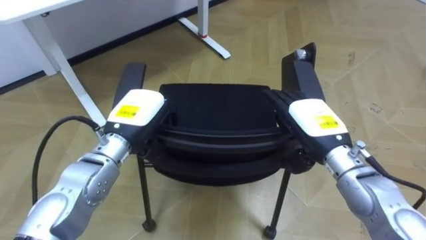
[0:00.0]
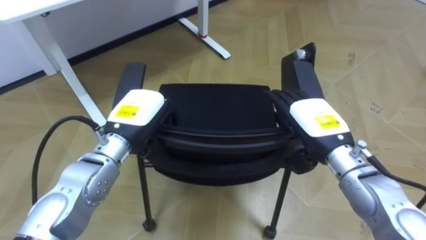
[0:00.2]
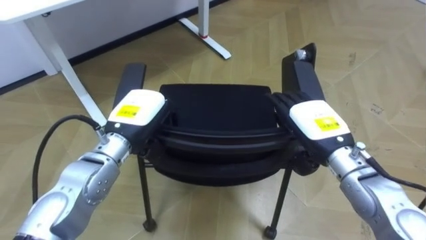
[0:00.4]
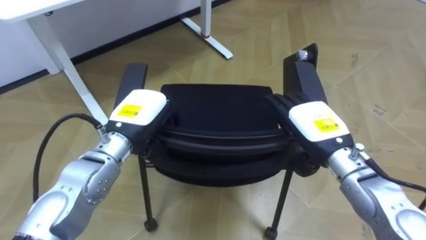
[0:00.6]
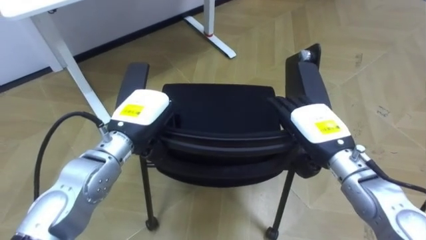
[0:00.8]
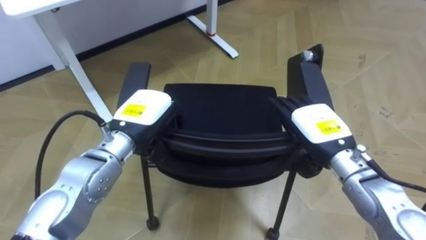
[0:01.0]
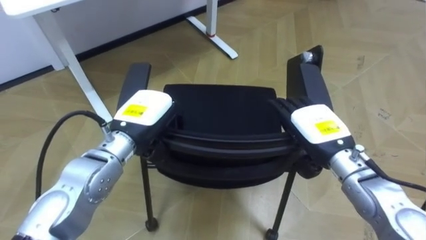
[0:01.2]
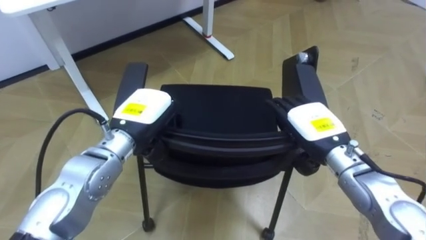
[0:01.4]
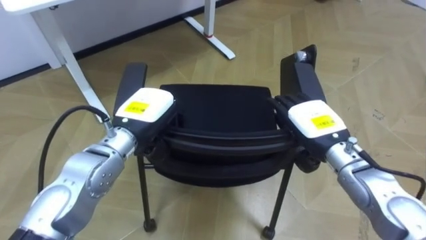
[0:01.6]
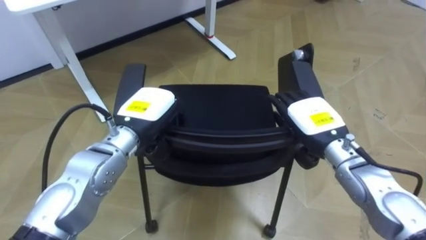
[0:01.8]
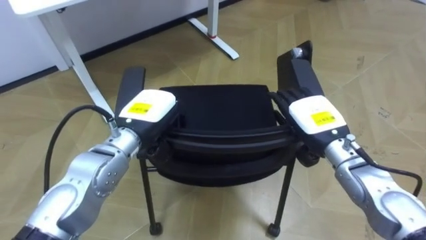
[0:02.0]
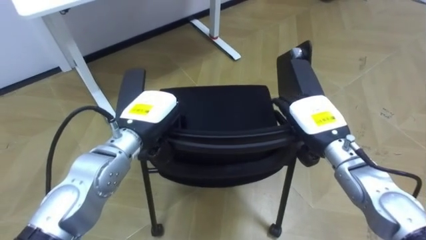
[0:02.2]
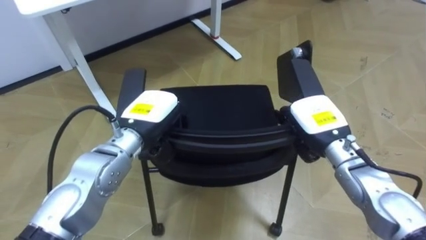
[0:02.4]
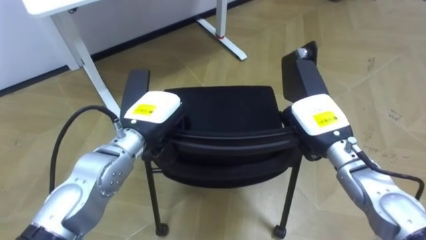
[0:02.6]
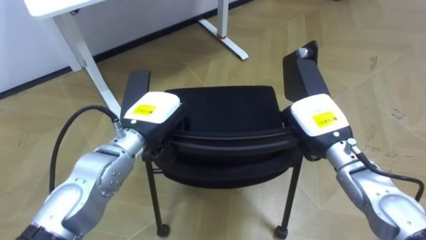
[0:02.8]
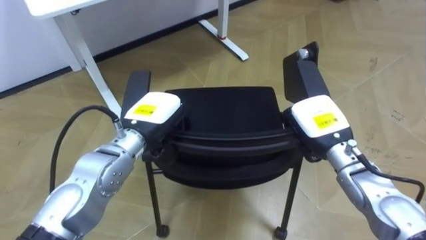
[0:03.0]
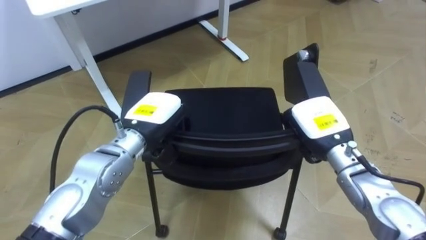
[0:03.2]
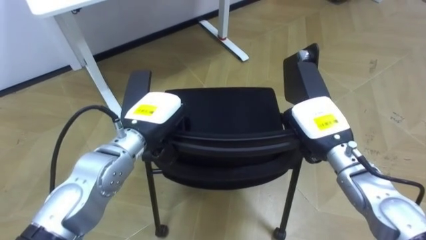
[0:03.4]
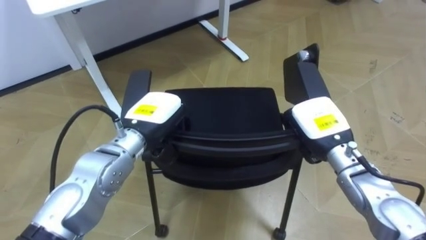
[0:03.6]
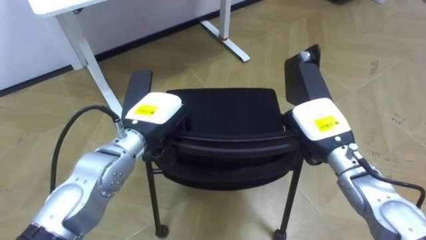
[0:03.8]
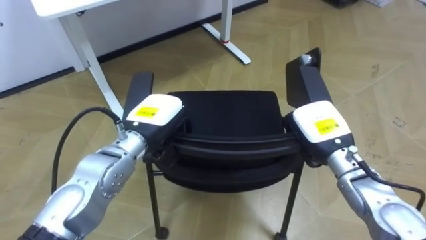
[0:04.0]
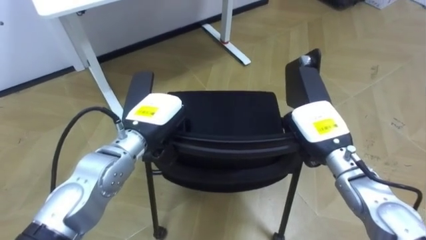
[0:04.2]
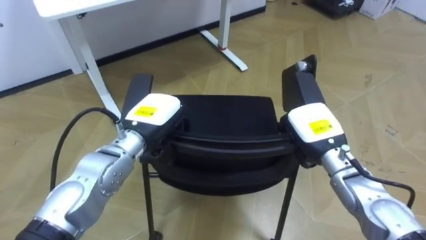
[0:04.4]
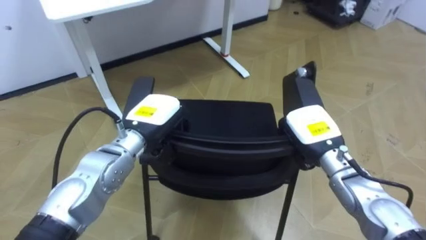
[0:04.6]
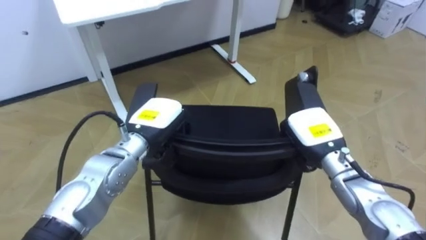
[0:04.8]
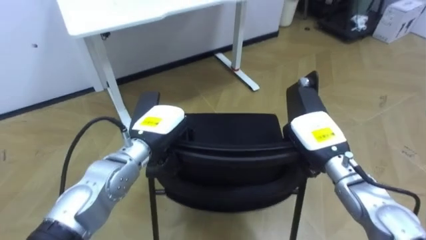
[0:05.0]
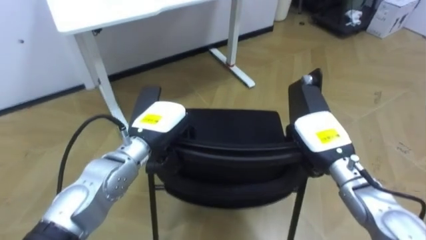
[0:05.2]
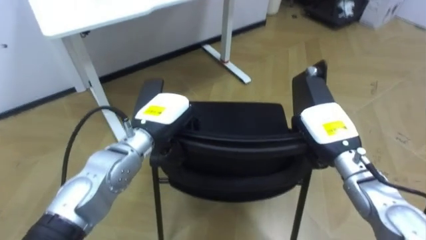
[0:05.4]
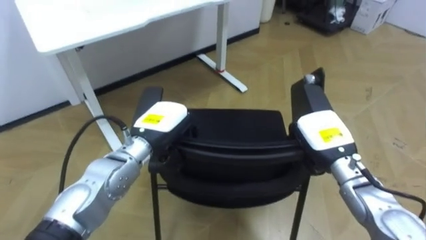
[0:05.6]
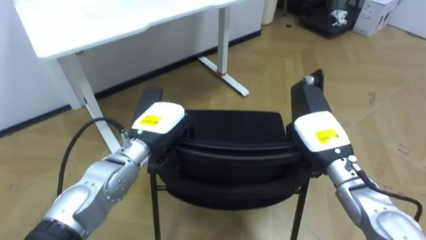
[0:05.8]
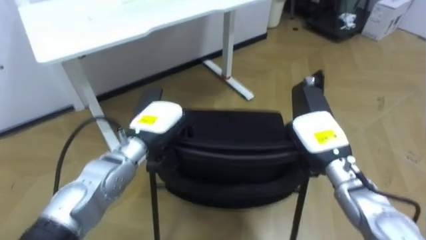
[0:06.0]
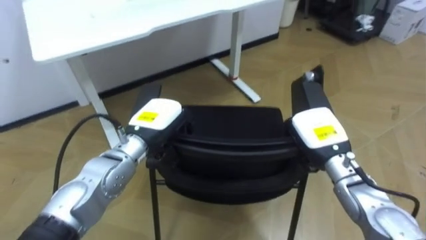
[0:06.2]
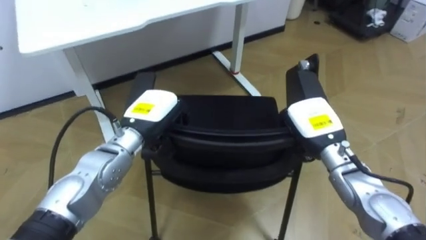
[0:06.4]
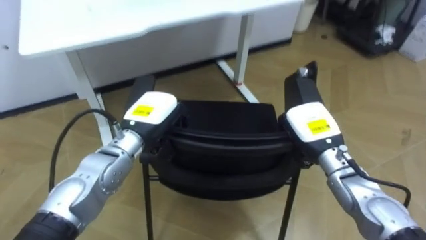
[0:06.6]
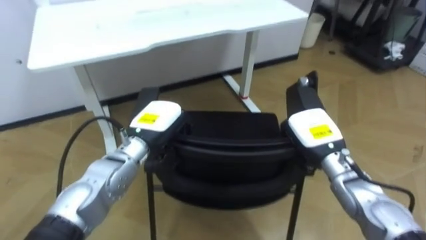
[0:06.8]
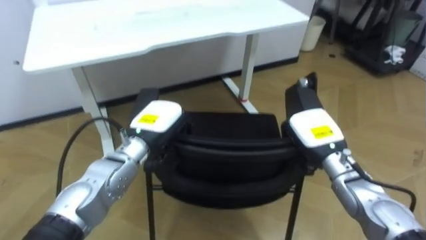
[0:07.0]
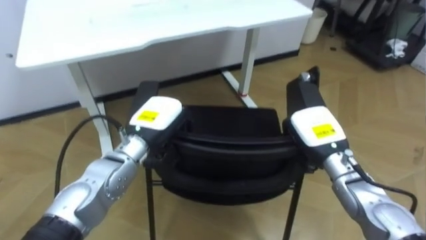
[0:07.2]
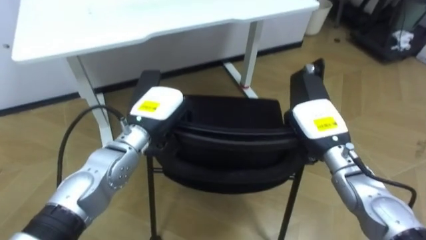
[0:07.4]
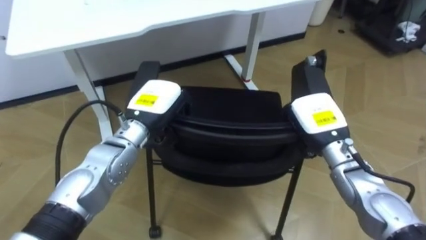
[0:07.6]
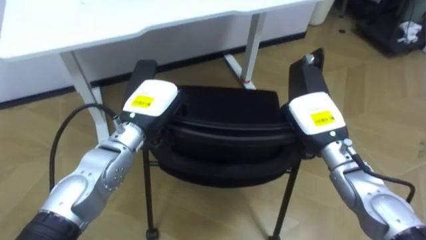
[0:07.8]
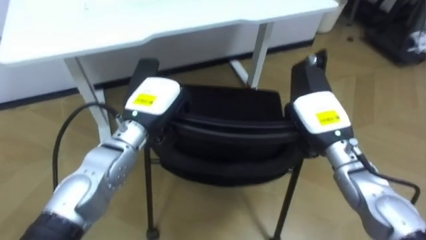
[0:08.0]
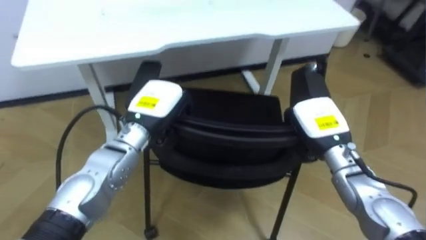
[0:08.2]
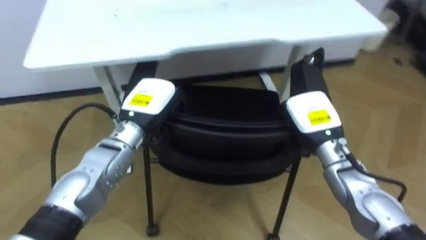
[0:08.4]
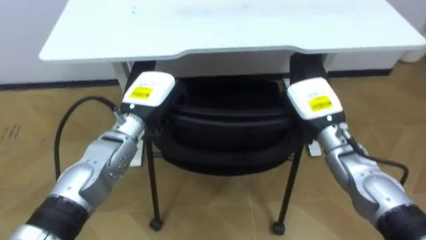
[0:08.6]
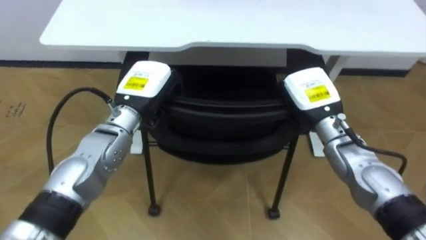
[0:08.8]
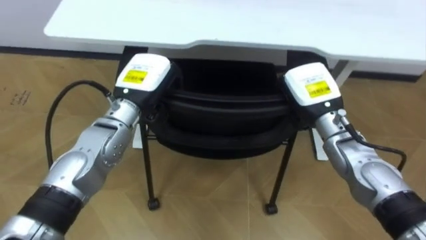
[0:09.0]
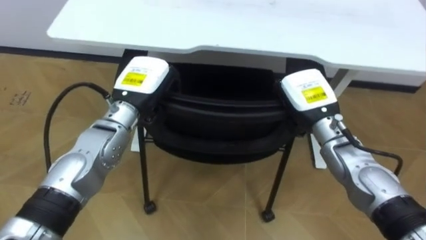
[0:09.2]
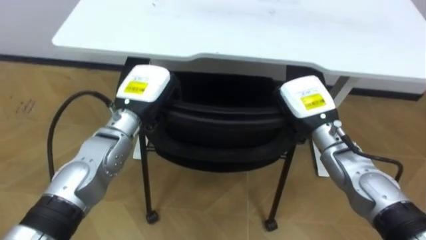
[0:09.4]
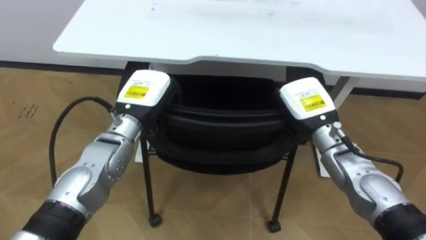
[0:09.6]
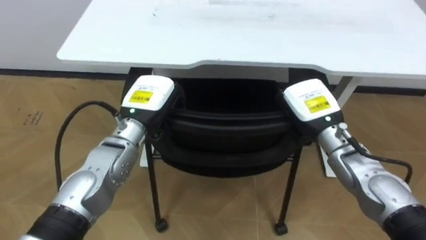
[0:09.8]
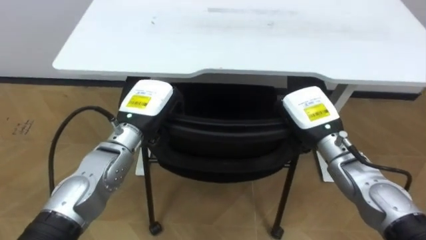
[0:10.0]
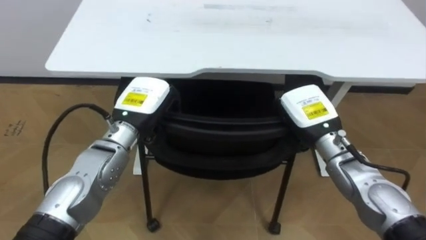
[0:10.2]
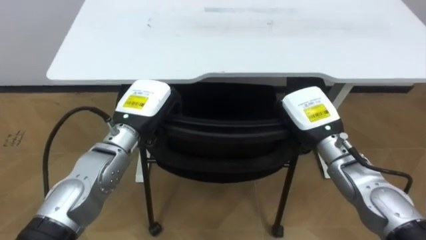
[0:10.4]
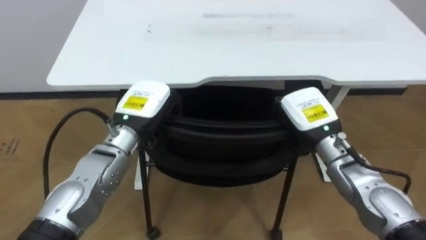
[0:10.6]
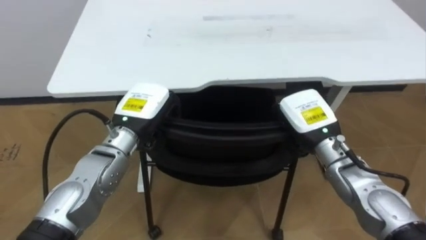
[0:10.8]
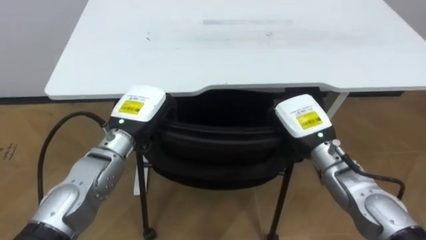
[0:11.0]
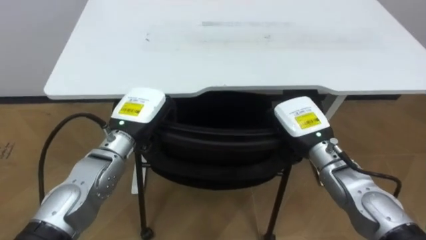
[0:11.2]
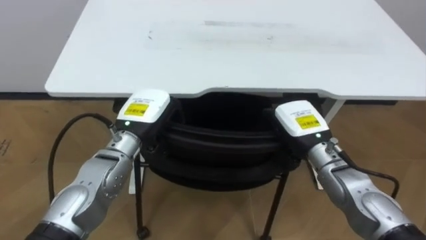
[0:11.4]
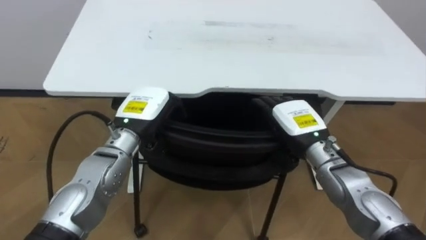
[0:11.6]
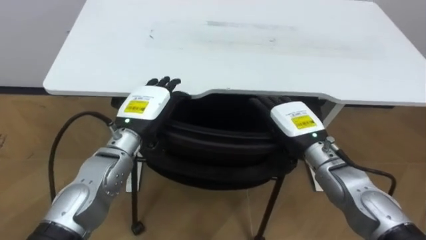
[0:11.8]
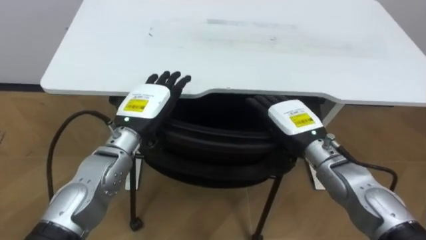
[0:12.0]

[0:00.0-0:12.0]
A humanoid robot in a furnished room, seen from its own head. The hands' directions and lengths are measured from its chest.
Task of the whole recording: Push the chair under the table.
0:01.6 to 0:03.0: The right hand closes its fingers.
0:07.6 to 0:09.0: The robot rotates approximately 20 degrees to its left. The right hand changes place by about 5 cm.
0:10.4 to 0:12.0: The right hand opens its fingers. Meanwhile the left hand opens its fingers.

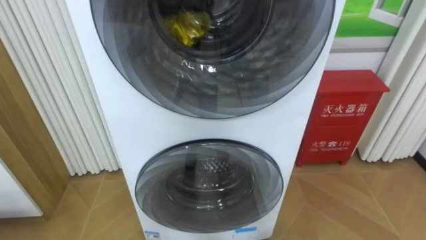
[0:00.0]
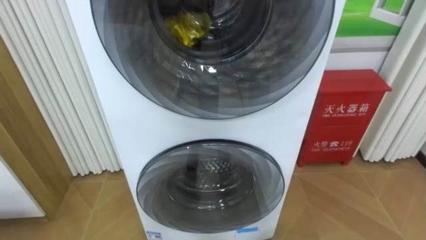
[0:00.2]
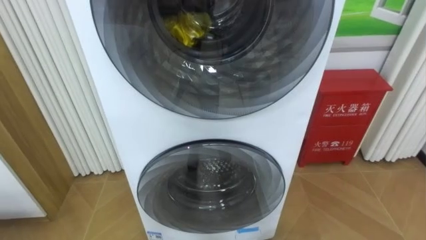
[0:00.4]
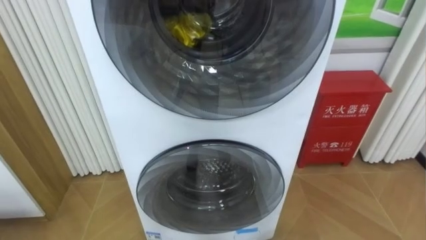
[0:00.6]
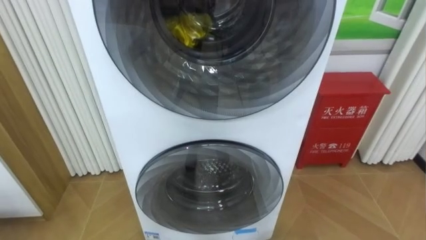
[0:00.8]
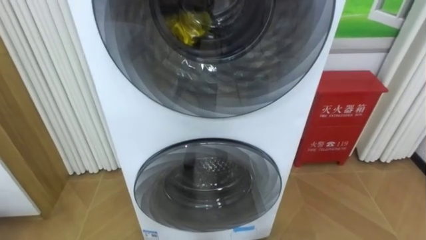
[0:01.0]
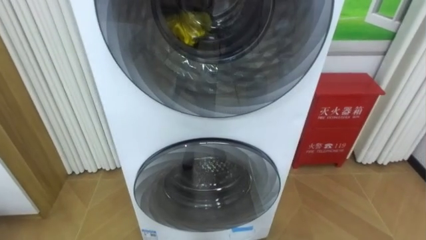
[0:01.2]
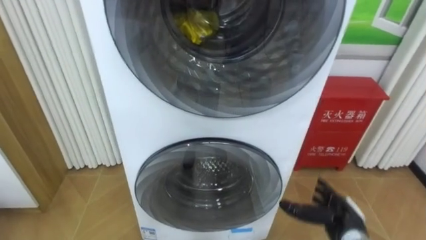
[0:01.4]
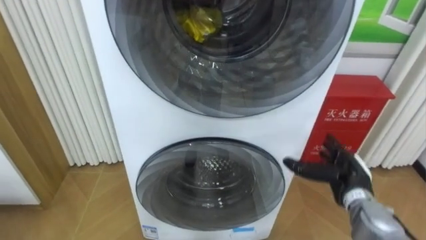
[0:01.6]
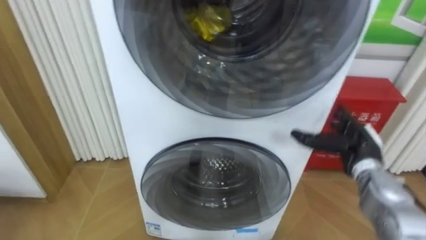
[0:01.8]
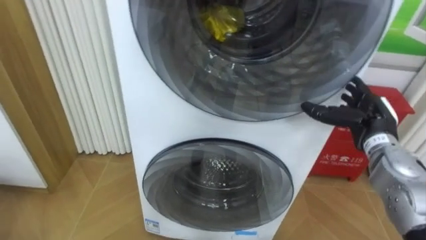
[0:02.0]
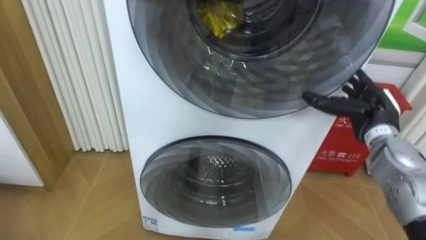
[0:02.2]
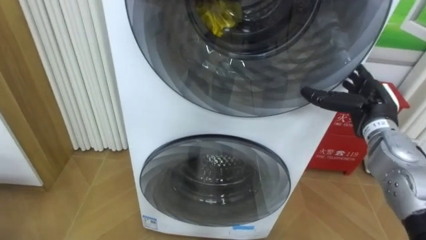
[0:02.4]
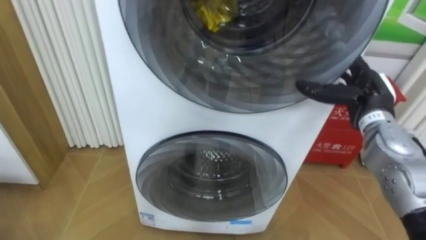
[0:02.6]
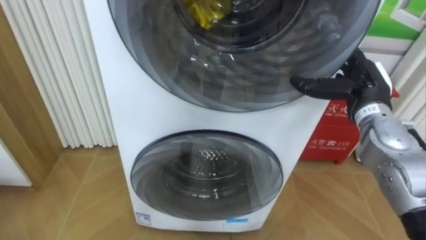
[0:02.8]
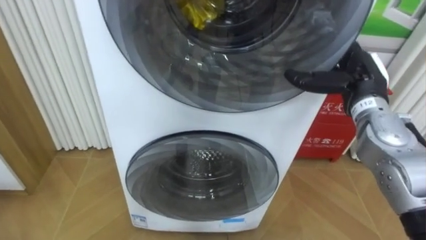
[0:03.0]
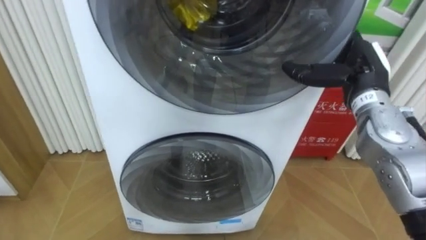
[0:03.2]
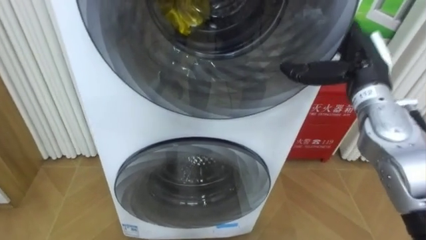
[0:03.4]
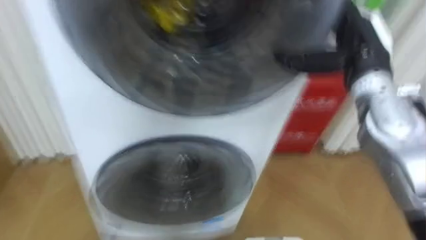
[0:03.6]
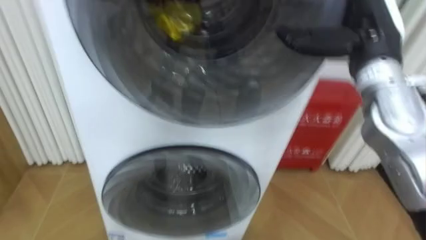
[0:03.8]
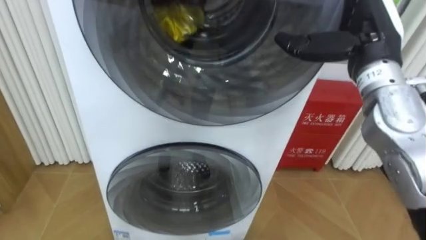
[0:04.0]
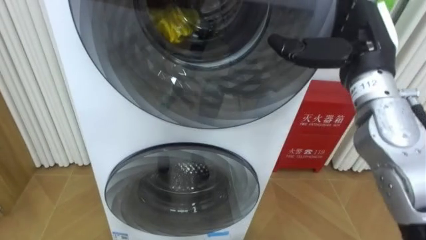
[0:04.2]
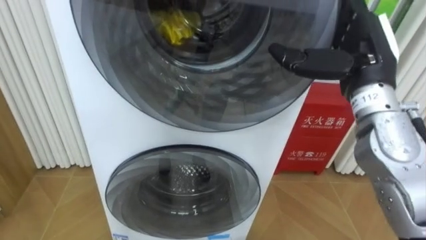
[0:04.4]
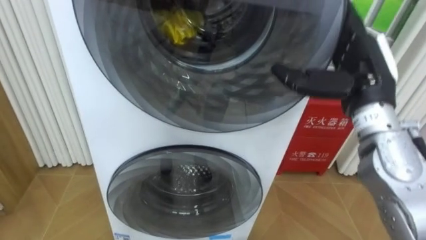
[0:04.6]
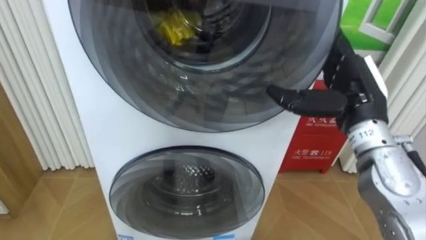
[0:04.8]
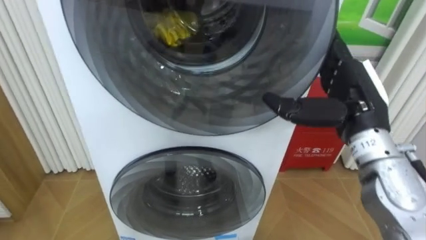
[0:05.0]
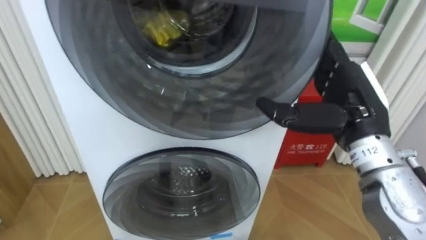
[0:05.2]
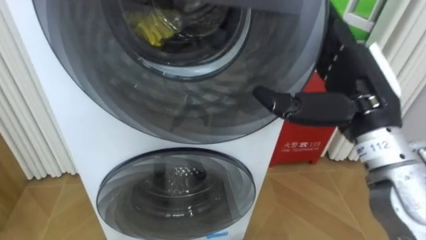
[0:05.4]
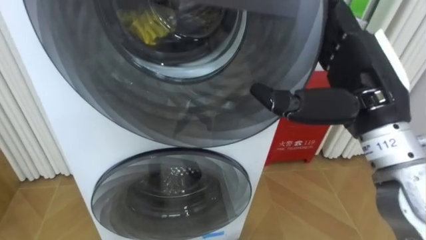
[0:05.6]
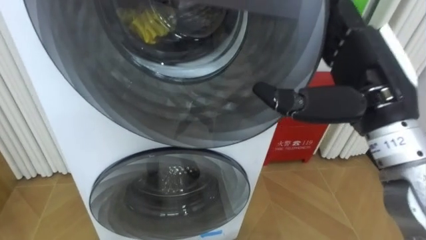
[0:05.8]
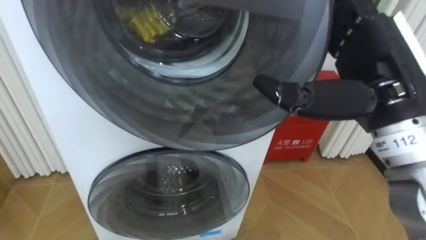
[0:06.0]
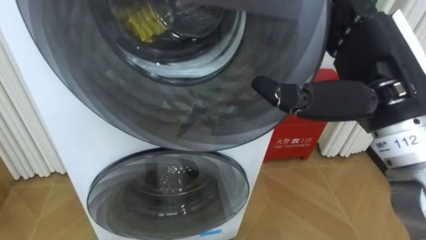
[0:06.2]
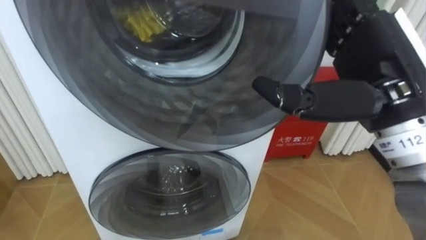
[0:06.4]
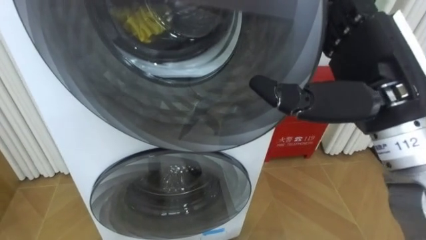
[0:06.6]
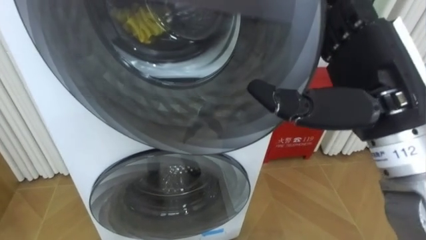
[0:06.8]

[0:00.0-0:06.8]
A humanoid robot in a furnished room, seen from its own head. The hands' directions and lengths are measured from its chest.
Task of the whole recording: Open the washing machine door, take out the yellow clothes, place them in the box on the right, and close the washing machine door.
0:01.4 to 0:02.8: The right hand moves upward and forward, about 25 cm.
0:02.8 to 0:04.0: The right hand is displaced upward by roughly 10 cm.
0:04.0 to 0:05.4: The right hand heads backward, covering about 10 cm.
0:05.4 to 0:06.8: The right hand changes place by roughly 5 cm.
